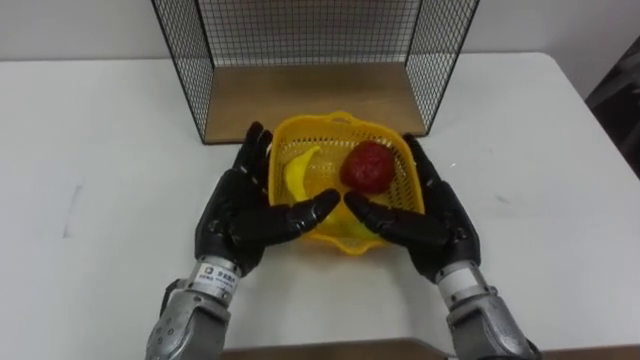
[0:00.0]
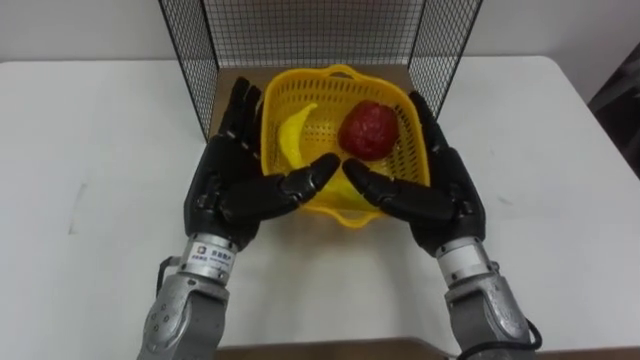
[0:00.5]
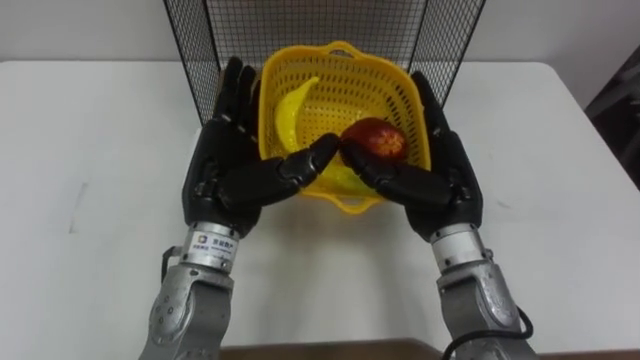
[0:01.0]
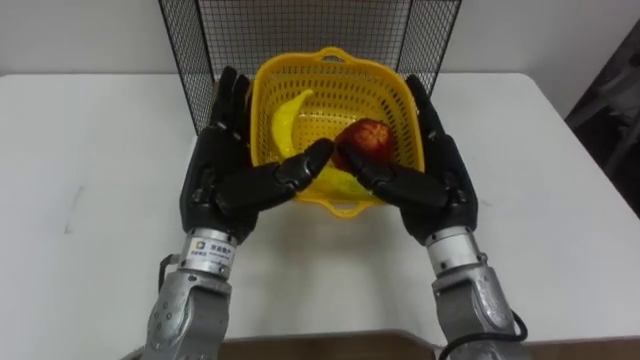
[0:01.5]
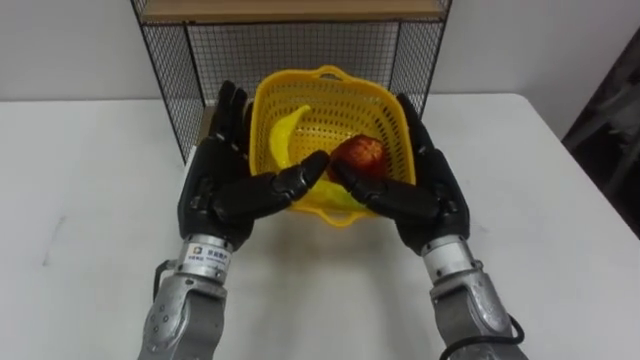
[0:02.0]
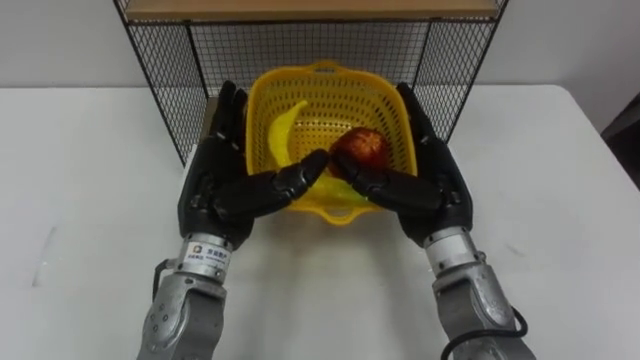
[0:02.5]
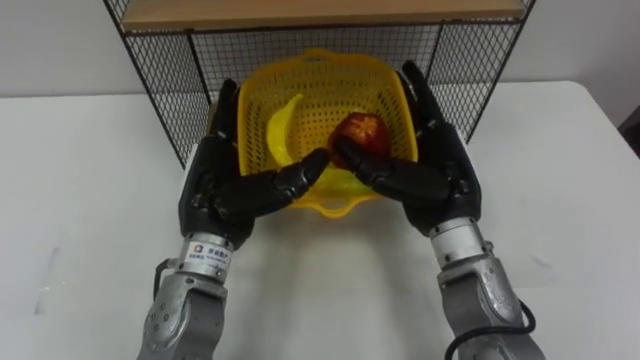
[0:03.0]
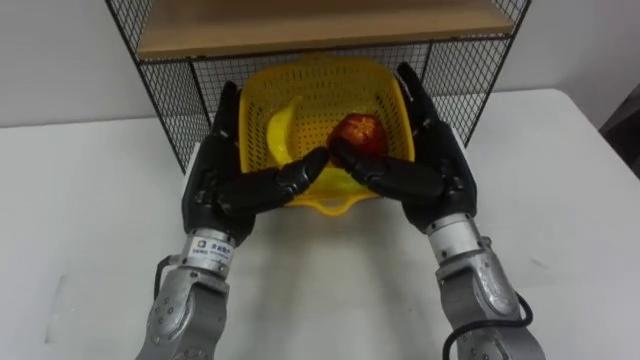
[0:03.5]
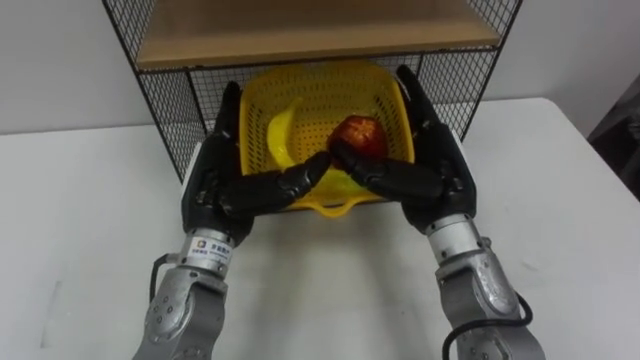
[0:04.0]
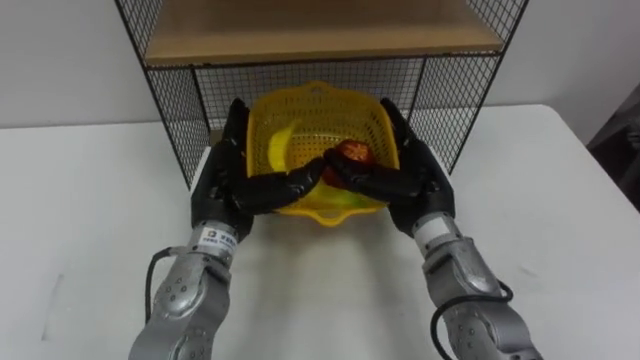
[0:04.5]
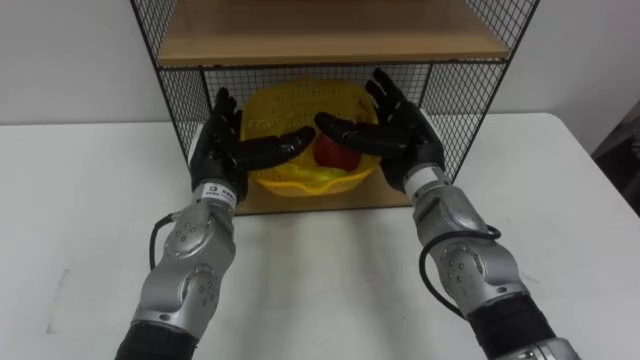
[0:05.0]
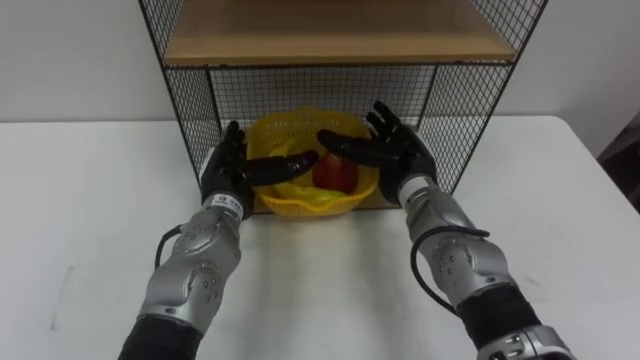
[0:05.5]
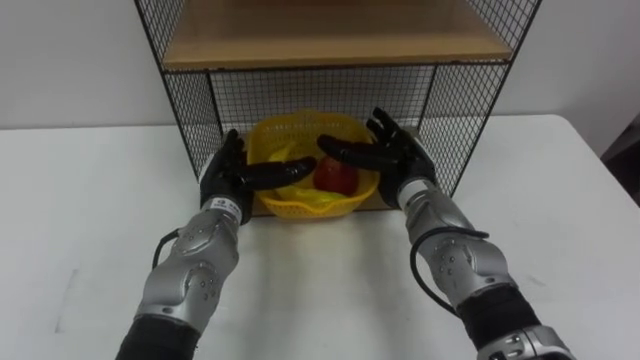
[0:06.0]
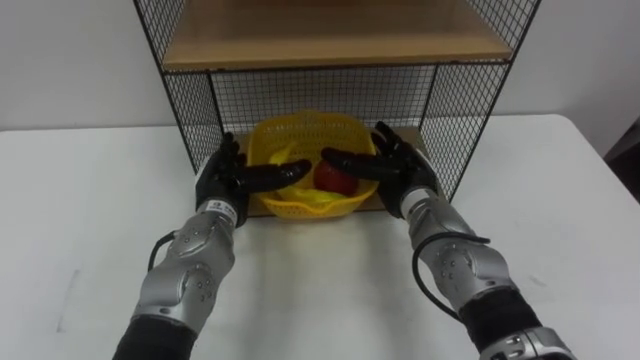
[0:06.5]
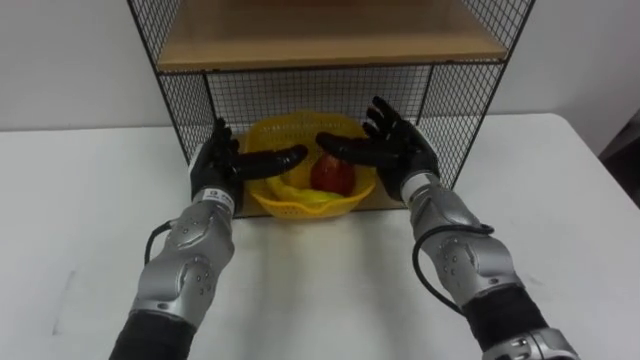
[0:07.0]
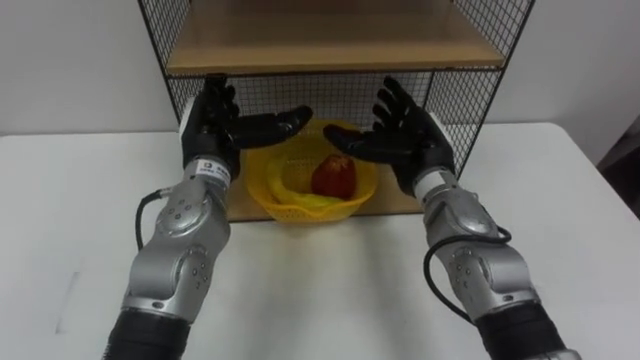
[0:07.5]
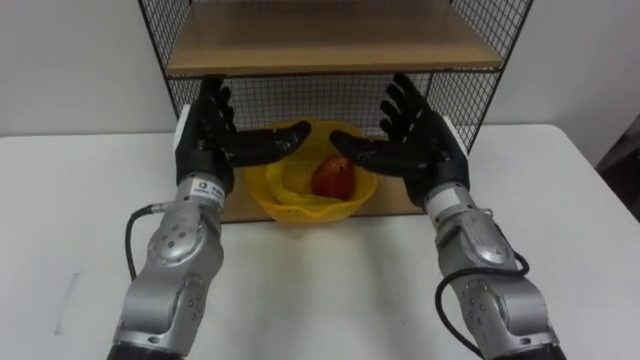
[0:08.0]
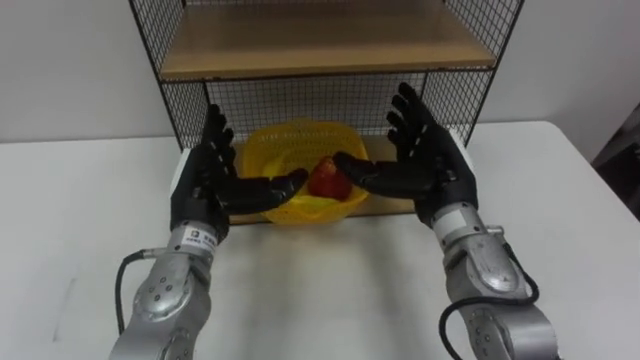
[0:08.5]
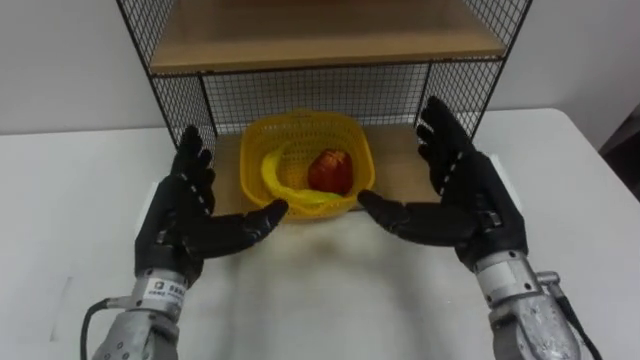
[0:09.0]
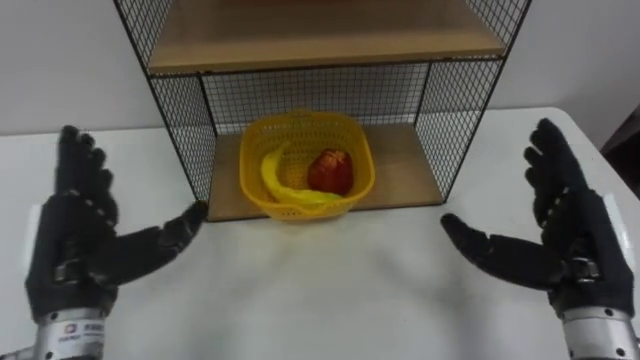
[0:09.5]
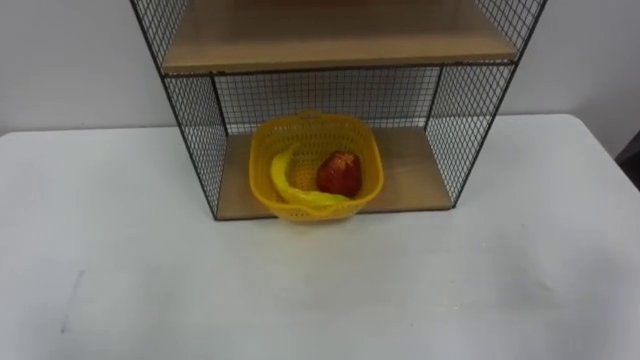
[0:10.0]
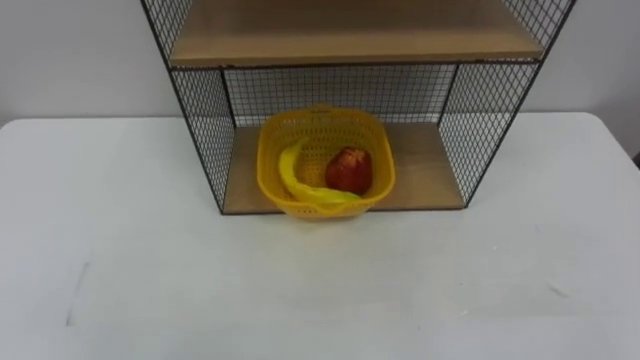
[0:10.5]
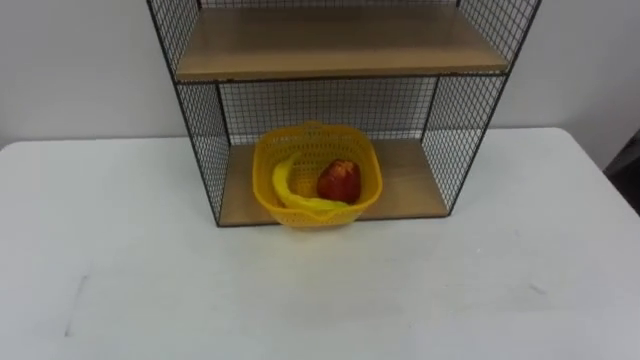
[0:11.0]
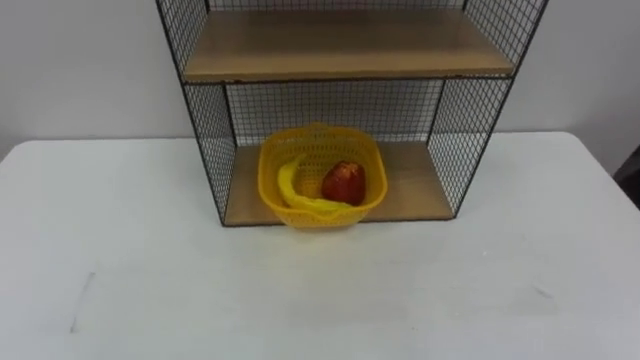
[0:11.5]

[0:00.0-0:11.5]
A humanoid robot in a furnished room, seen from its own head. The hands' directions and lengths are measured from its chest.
Task of the whole recording: Put the fruit on the table into the basket, then place the basket on the shelf.
0:04.0 to 0:06.0: Both hands travel together downward and forward, roughly 10 cm.
0:06.0 to 0:07.5: The left hand heads upward, covering roughly 10 cm.
0:07.5 to 0:09.5: The right hand shifts some 20 cm backward and to the right, while the left hand travels backward and to the left by roughly 20 cm.

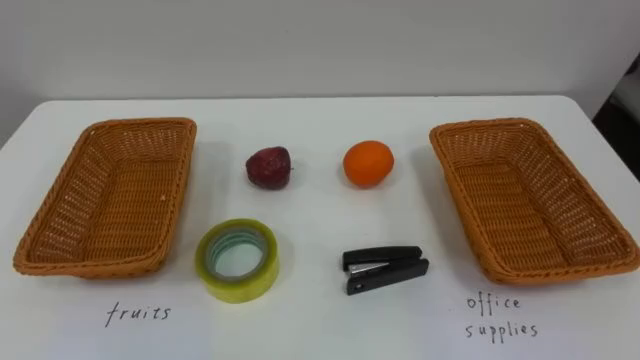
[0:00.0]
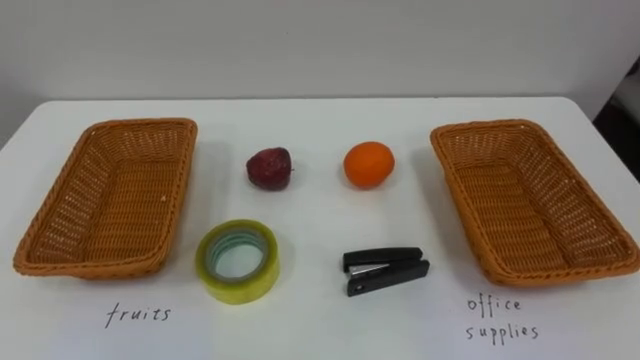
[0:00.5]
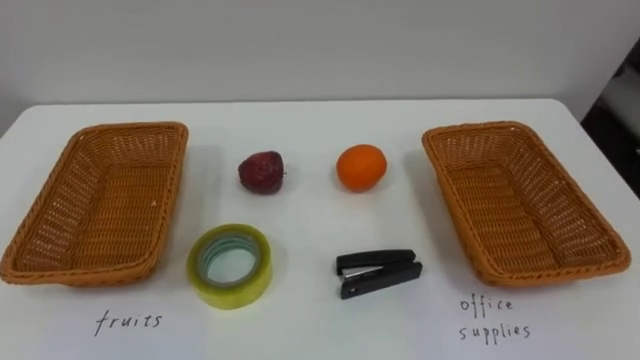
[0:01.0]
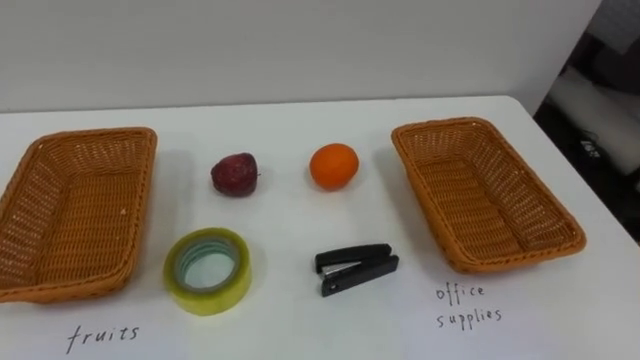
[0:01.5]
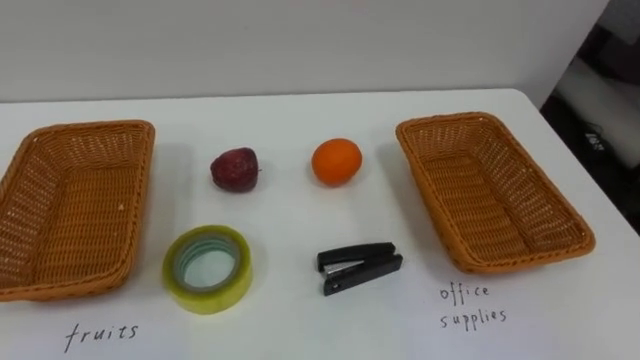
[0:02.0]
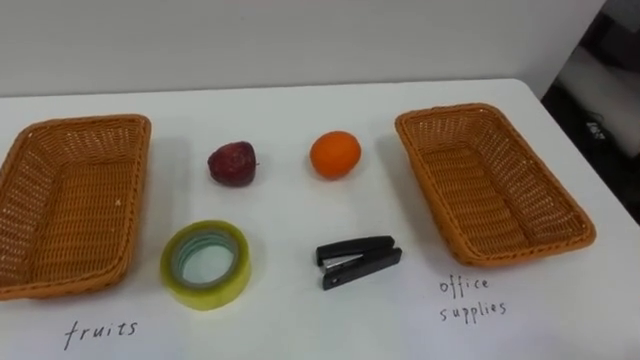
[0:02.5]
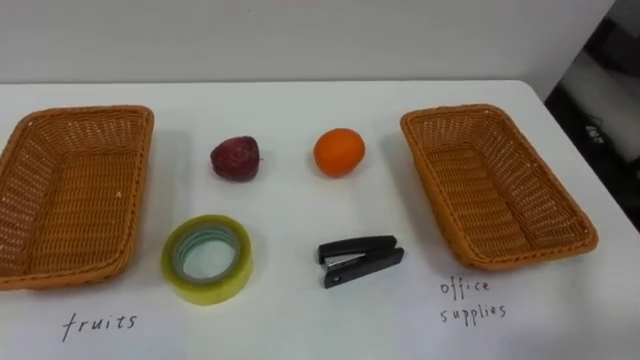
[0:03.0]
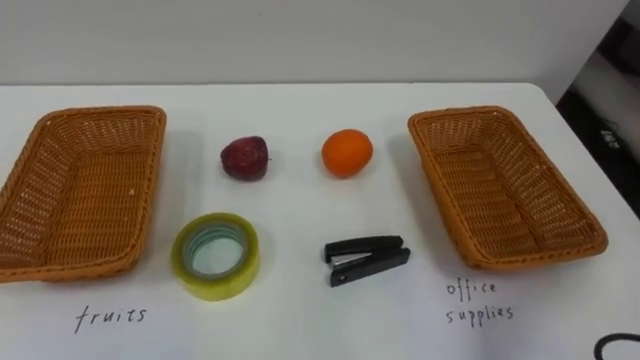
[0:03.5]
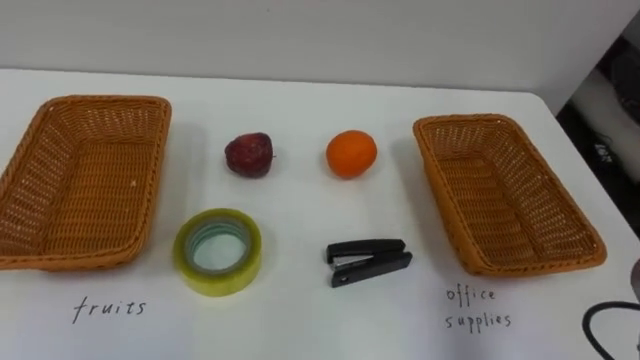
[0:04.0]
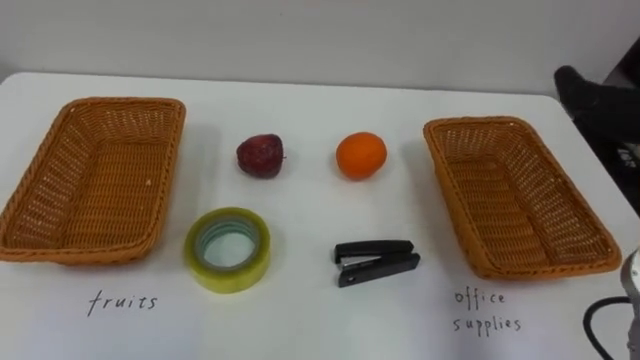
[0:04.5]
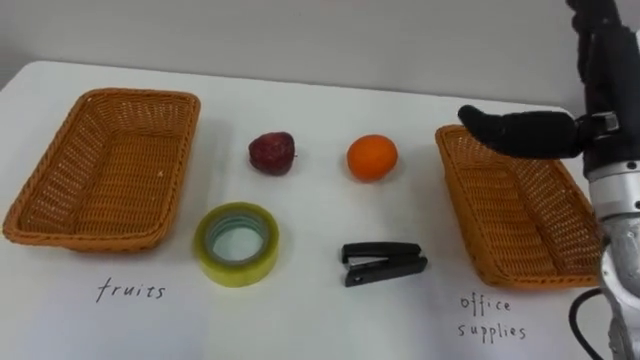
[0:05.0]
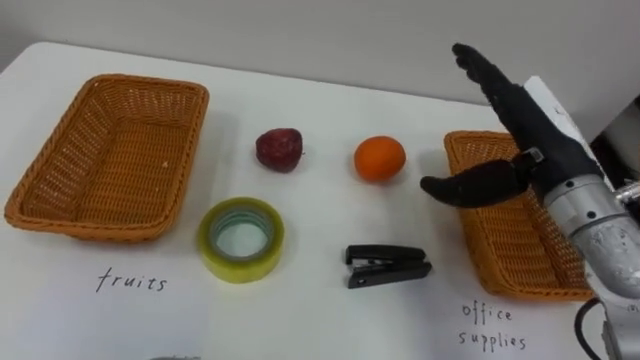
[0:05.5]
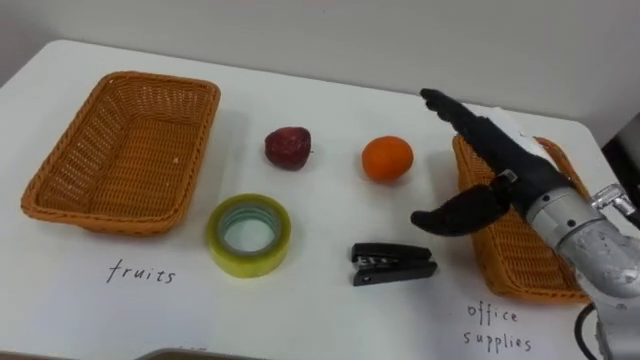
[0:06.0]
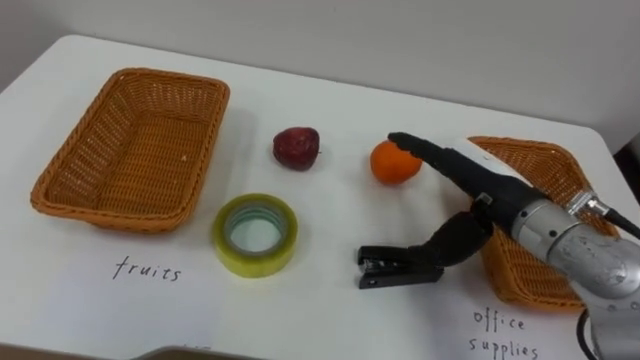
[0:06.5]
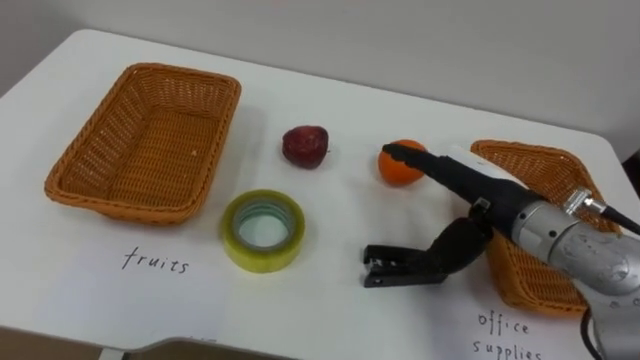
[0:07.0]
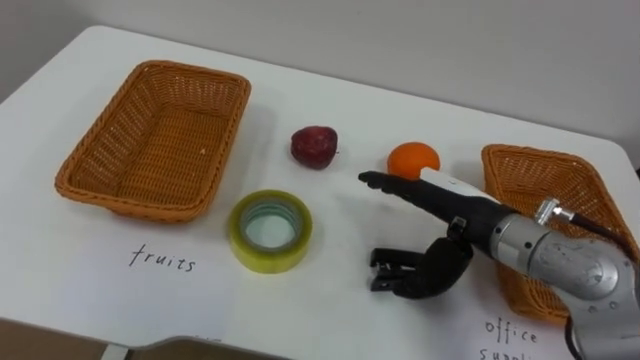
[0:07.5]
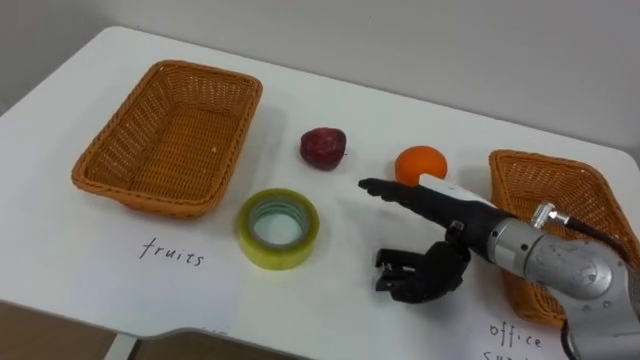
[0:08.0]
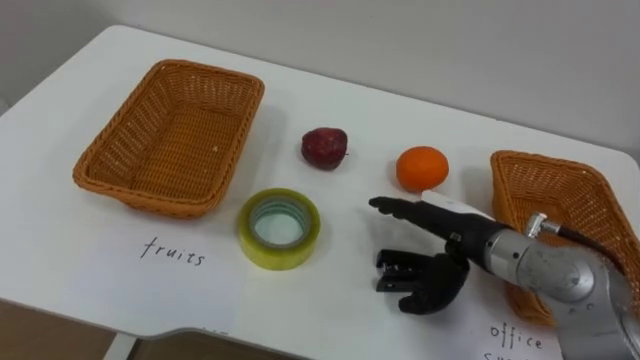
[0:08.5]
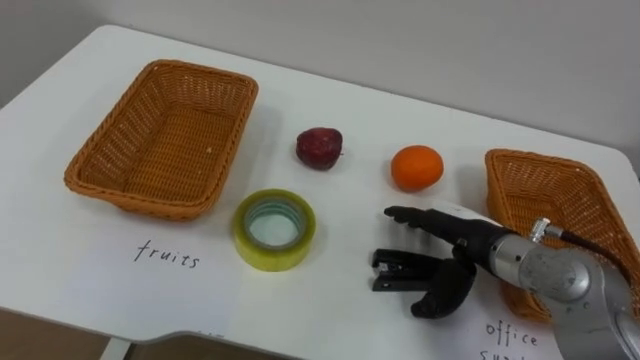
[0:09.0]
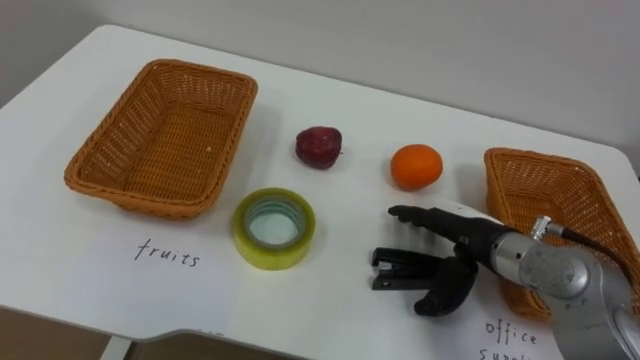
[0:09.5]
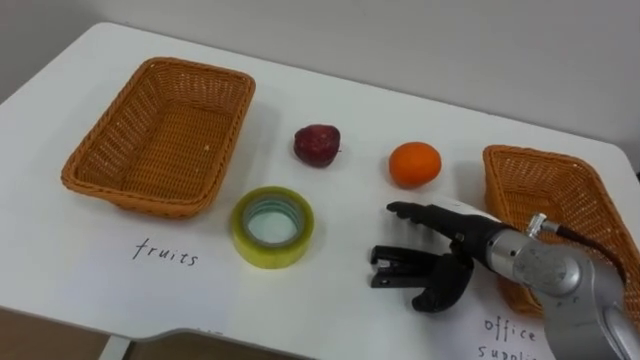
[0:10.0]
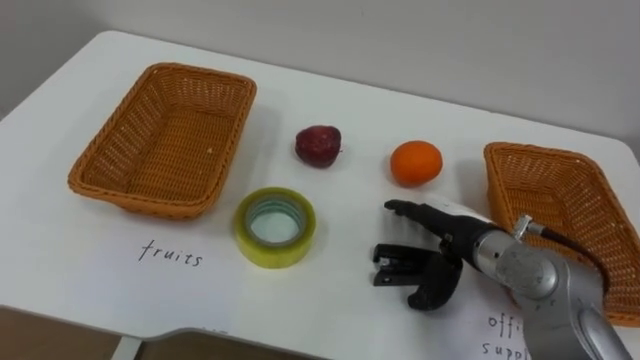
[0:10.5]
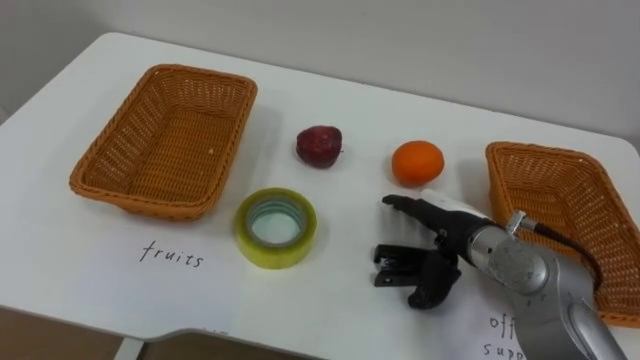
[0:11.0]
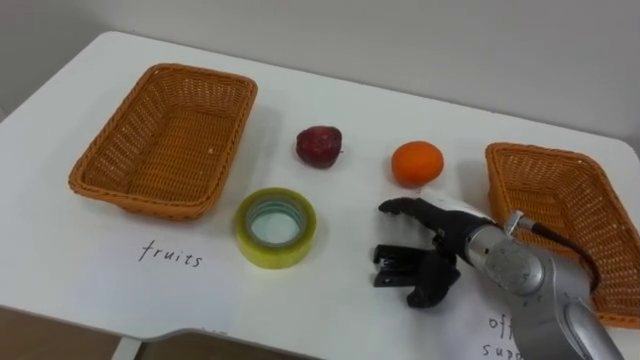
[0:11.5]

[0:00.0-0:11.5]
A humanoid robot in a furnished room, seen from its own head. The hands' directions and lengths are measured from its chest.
Task of the whole recording: Separate the items on the table and place them into the two baskets.
0:06.0 to 0:07.5: The right hand shifts by roughly 5 cm.
0:07.5 to 0:09.5: The right hand shifts about 5 cm downward.
